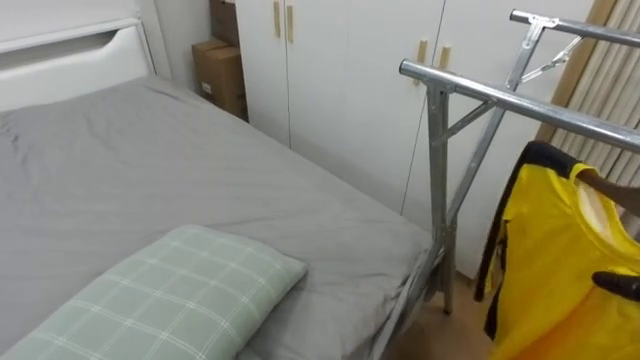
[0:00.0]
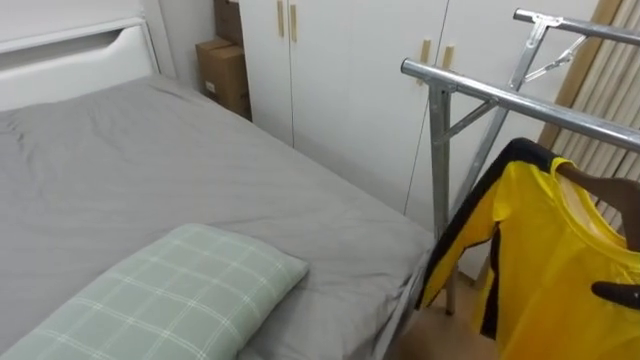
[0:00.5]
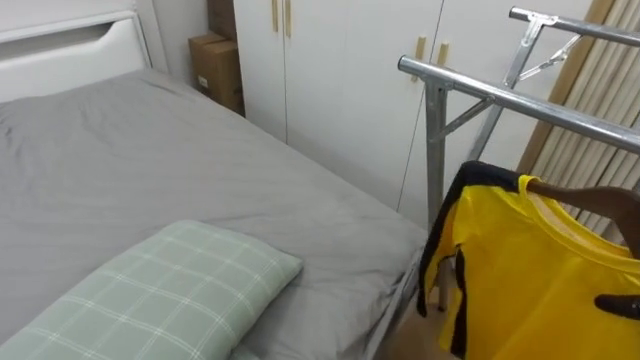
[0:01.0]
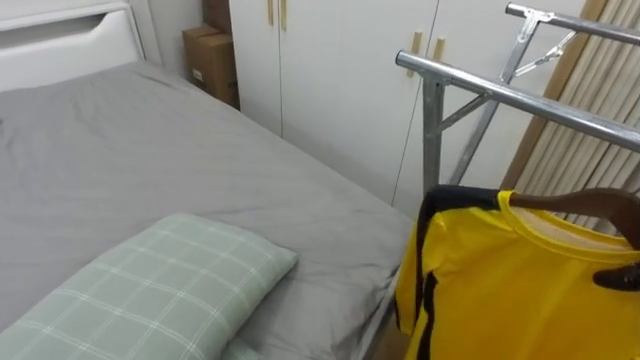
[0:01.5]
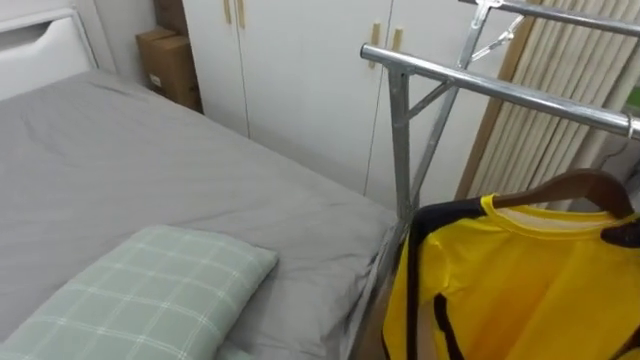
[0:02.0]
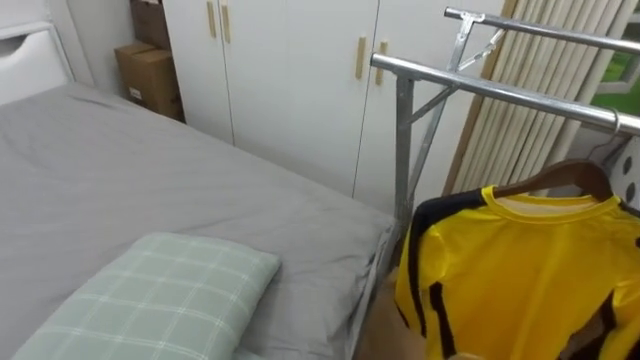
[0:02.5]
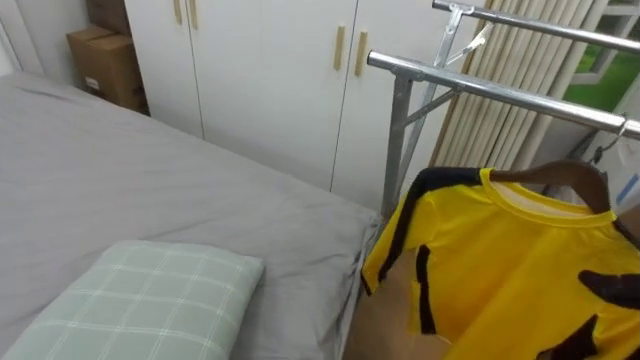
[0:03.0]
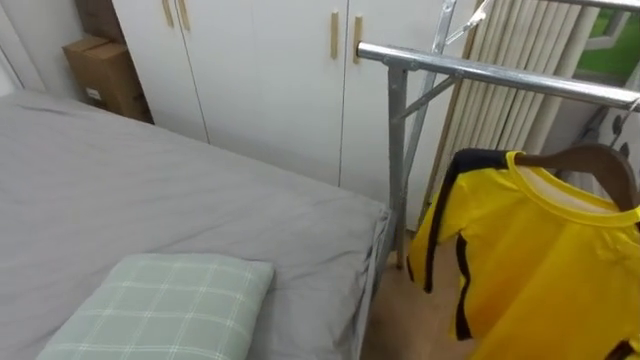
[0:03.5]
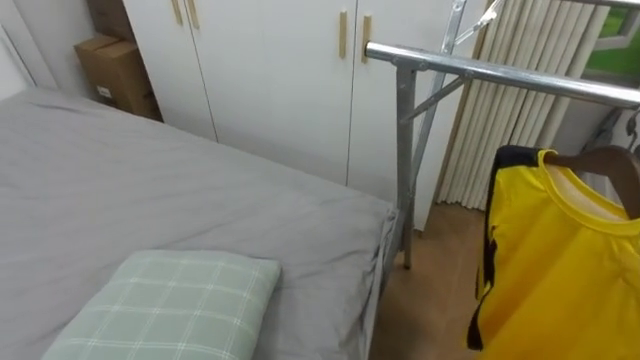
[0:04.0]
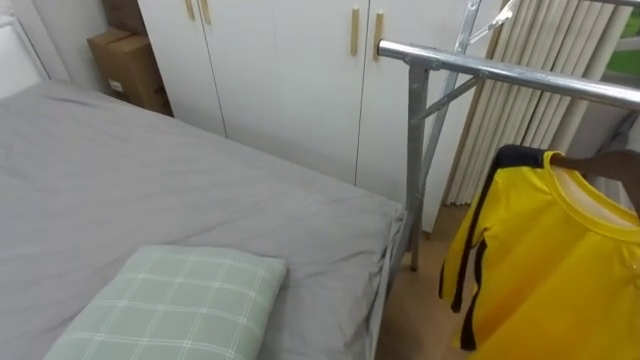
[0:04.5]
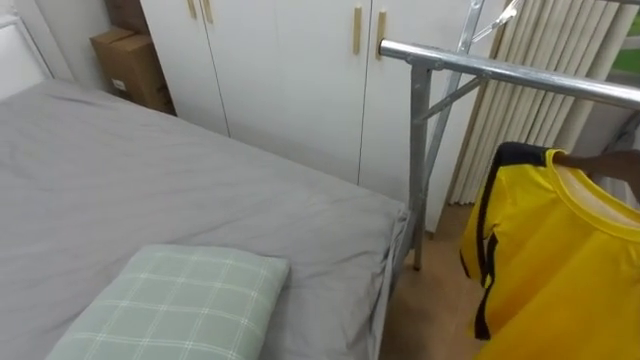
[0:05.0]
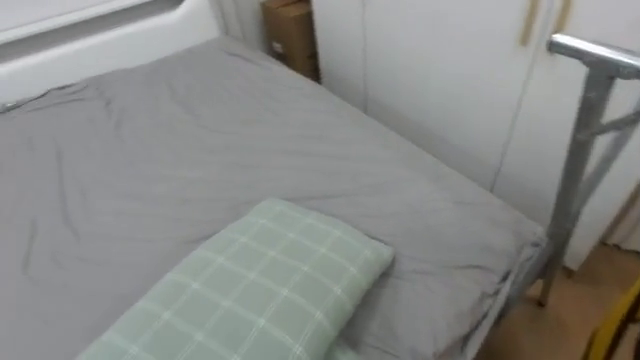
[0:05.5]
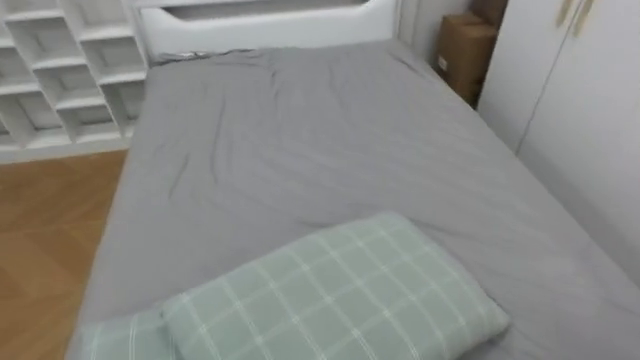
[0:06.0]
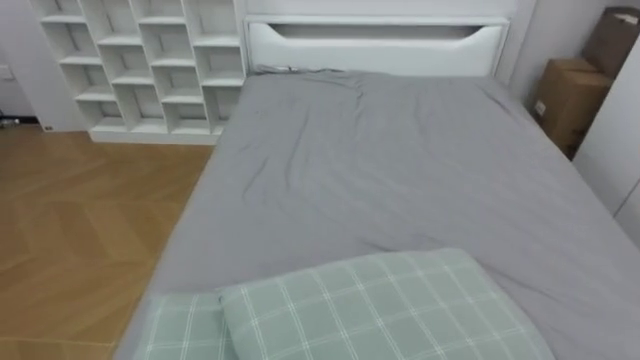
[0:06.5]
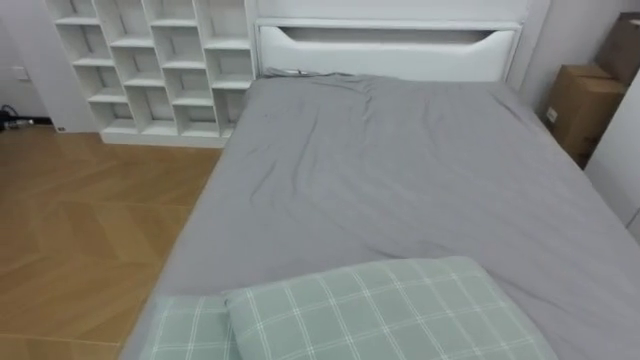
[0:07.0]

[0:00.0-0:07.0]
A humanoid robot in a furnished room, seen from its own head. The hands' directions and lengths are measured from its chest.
Task of the whole recording: Pick up the yellow shirt on the bed and hang it on the clothes rack on the right.
0:05.0 to 0:07.0: The robot turns to its left by approximately 60 degrees.

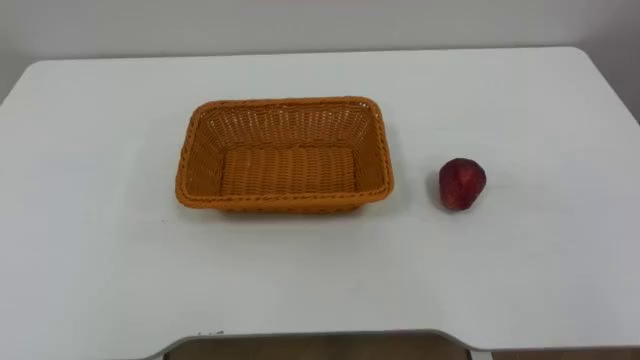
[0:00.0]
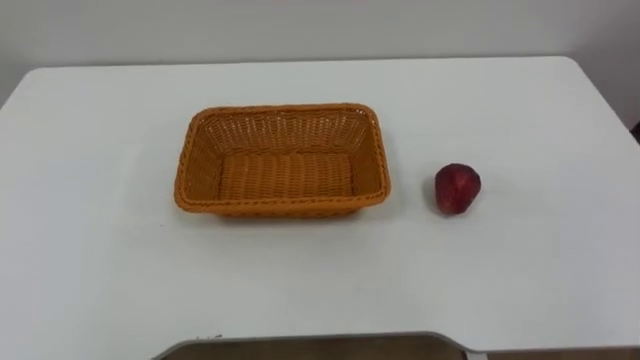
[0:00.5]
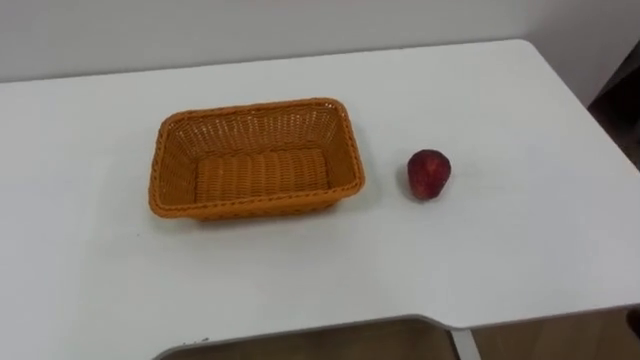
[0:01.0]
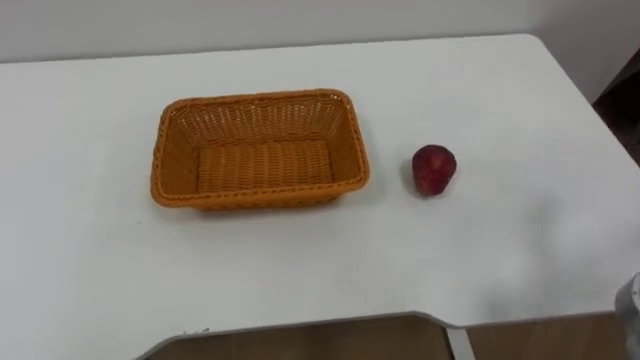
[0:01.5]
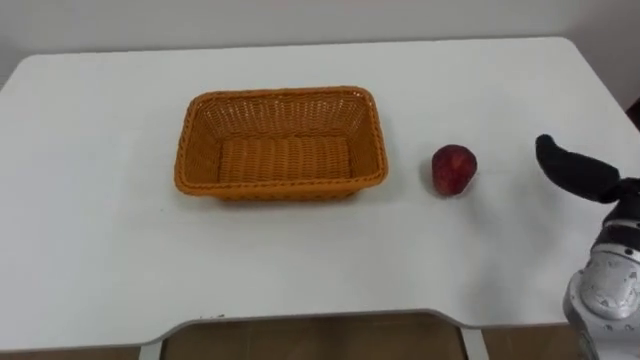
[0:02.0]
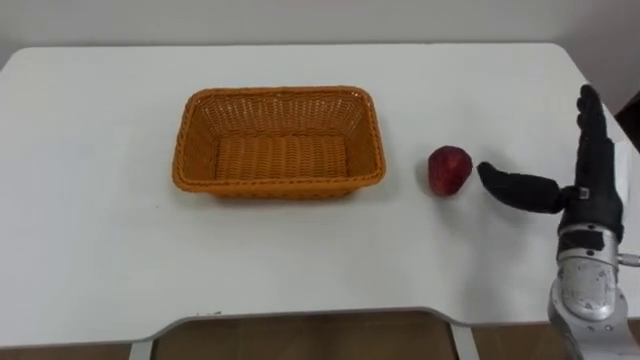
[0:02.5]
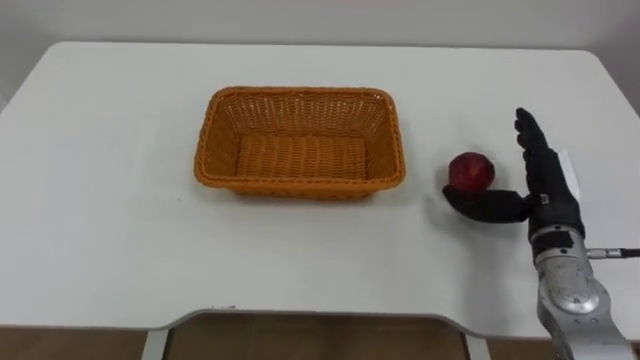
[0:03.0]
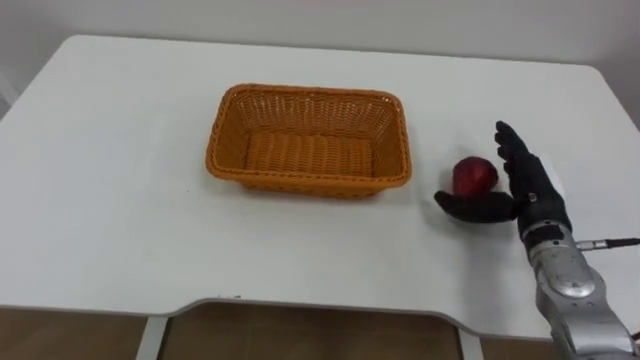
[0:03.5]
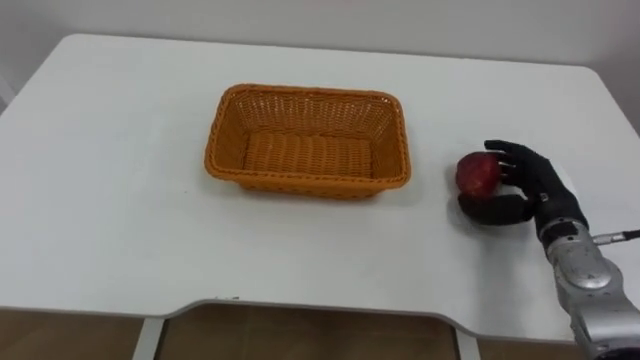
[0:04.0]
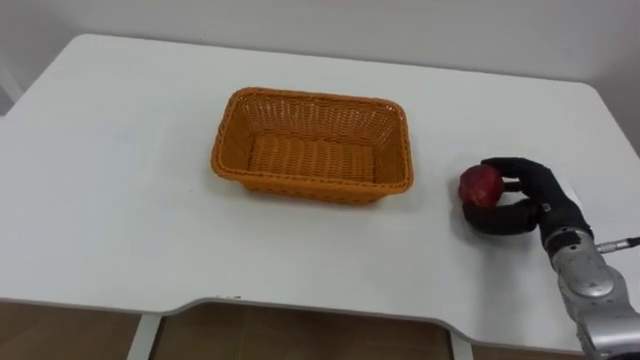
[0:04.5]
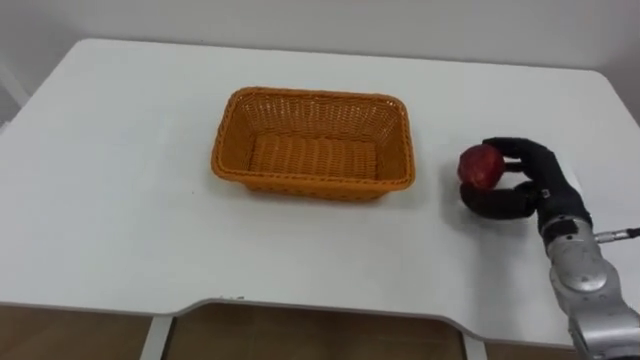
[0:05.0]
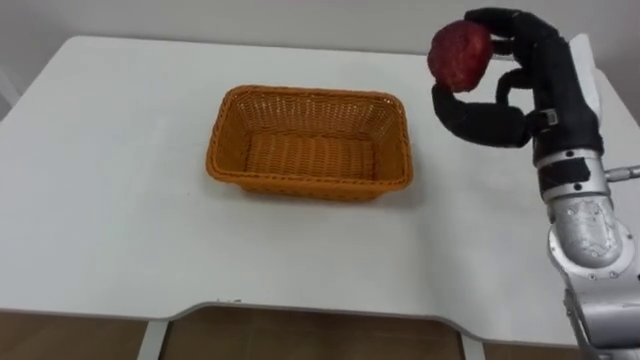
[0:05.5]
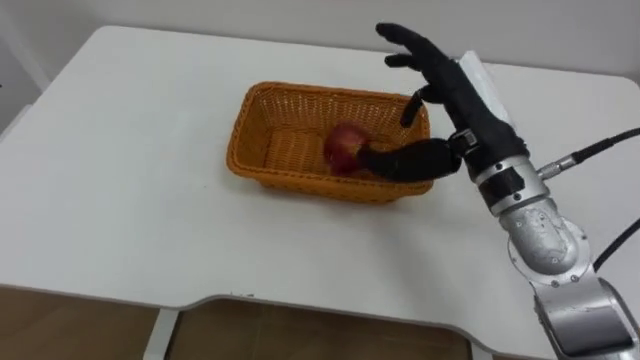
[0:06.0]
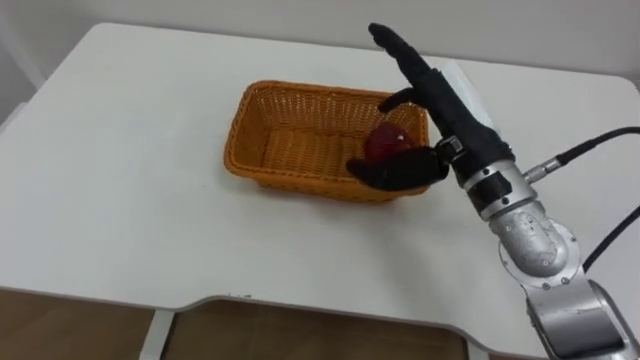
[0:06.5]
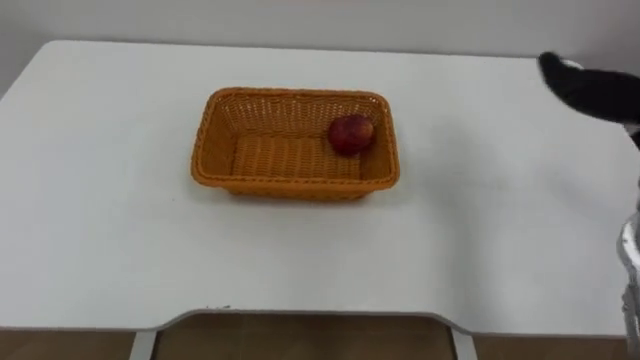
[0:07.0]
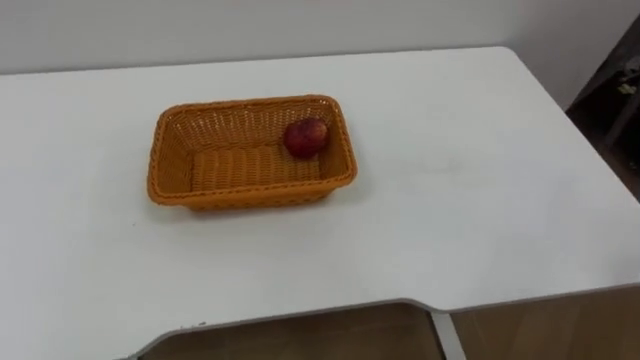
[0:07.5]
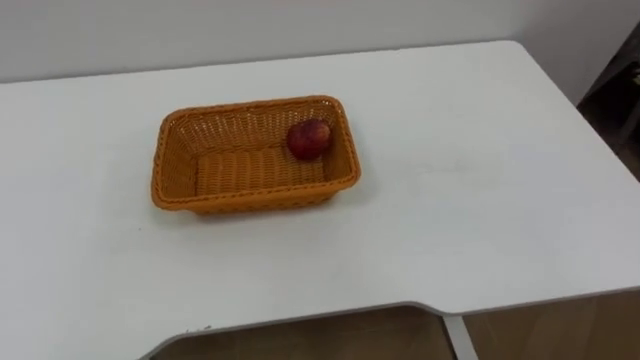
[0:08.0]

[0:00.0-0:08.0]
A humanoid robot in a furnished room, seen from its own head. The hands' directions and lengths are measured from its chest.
Task of the whole recording: Pick the apple and place it in the box.
0:04.0 to 0:06.0: The right hand is displaced upward and to the left by about 20 cm.

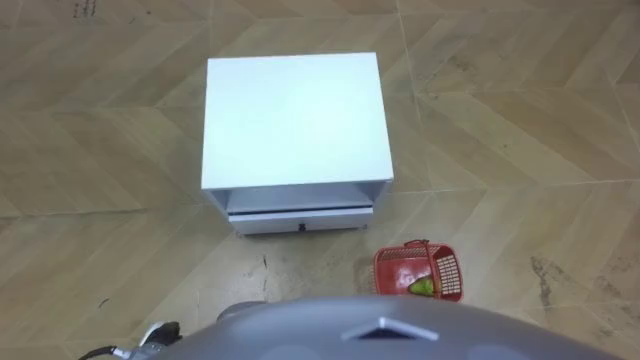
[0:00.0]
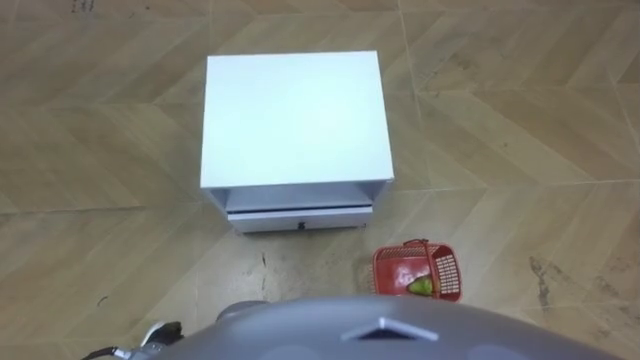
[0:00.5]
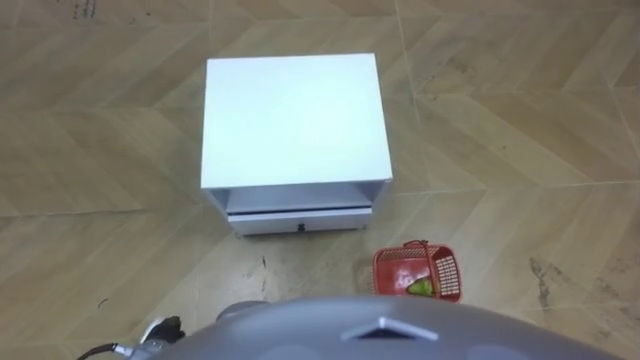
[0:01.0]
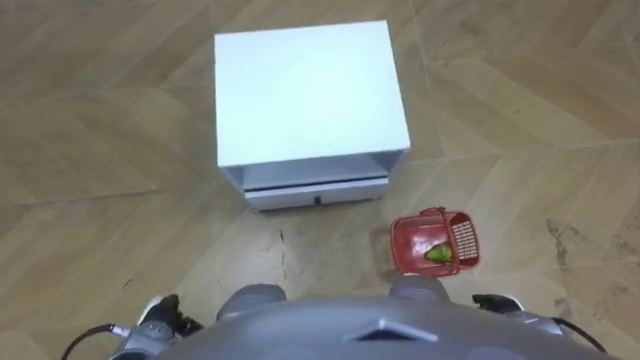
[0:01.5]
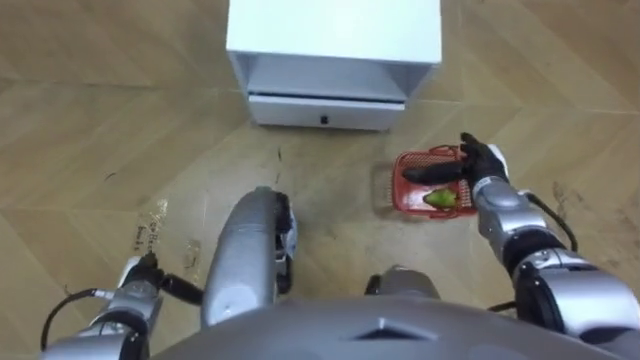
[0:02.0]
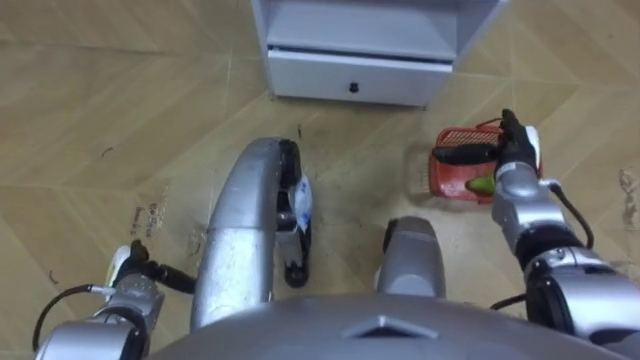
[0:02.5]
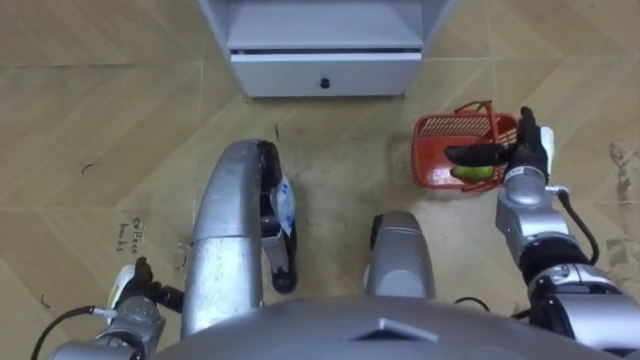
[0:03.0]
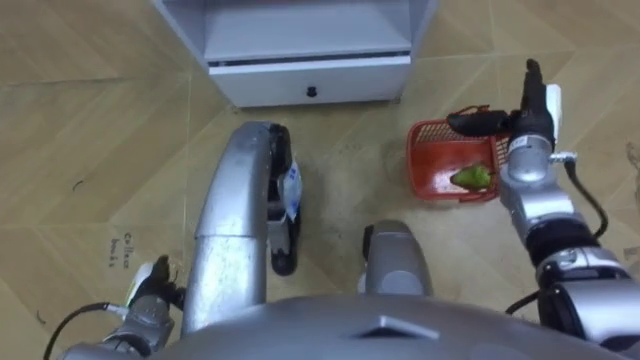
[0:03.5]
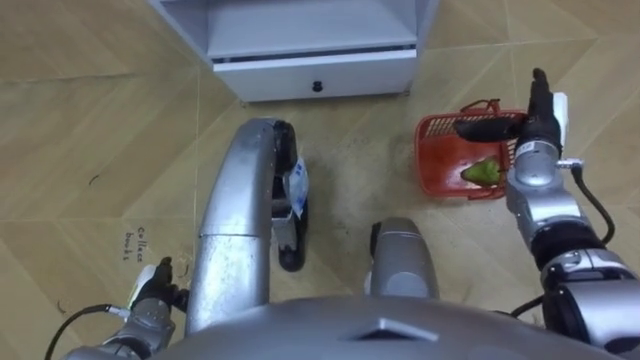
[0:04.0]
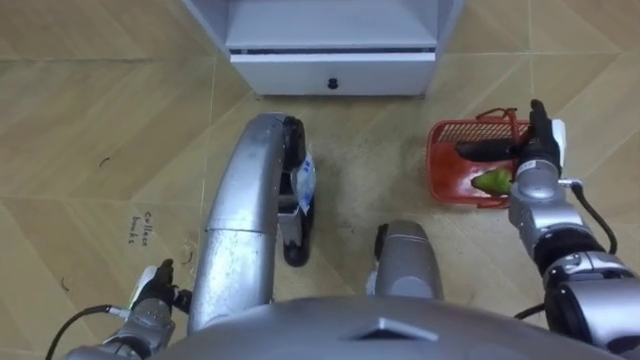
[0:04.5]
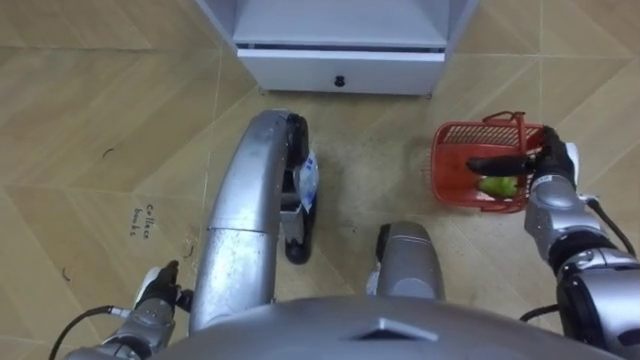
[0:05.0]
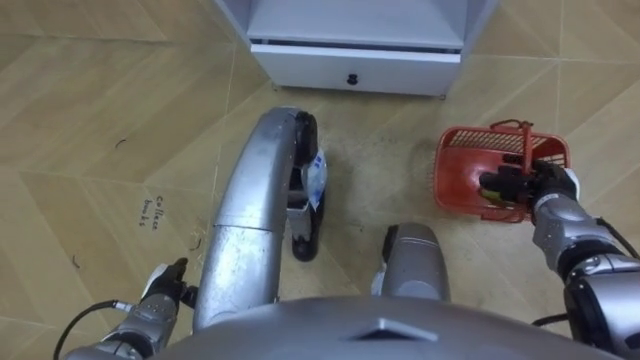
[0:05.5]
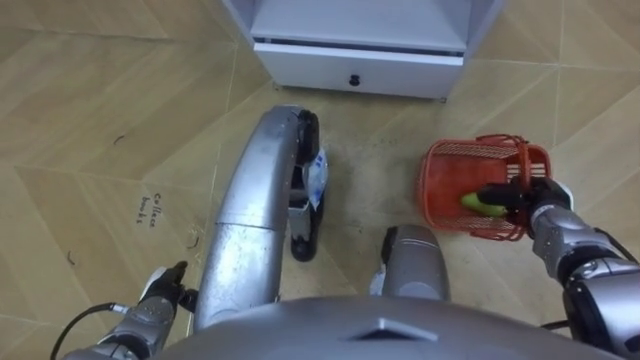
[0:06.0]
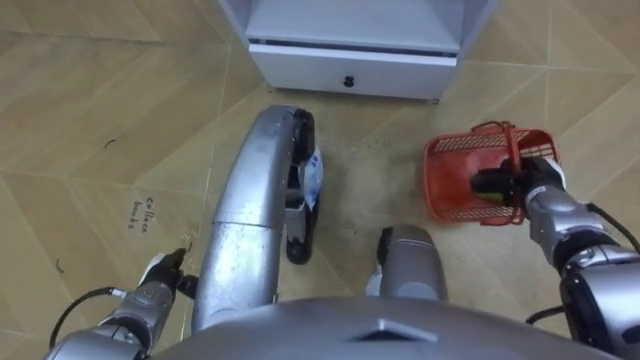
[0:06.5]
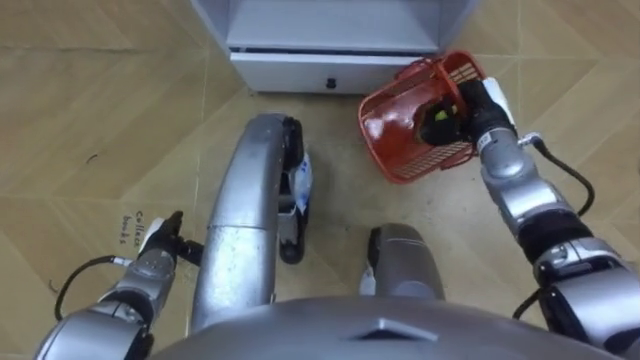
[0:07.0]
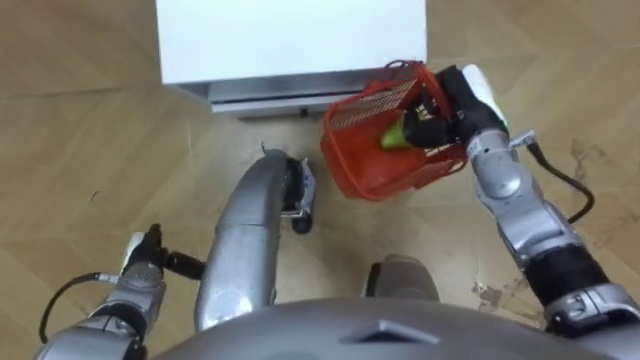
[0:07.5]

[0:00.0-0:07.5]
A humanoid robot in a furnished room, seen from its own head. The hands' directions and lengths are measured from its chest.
Task of the whole recording: Pick up the fruit basket from the floor and place it on the cabinet.
0:02.0 to 0:04.0: The right hand shifts approximately 10 cm upward and to the right.
0:04.0 to 0:05.5: The right hand goes approximately 10 cm backward and downward, and closes up.
0:05.5 to 0:07.5: The left hand travels forward by some 5 cm; the right hand shifts roughly 20 cm to the left, upward and forward, and closes.
